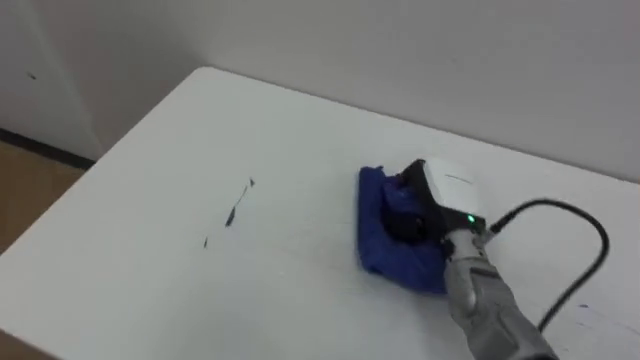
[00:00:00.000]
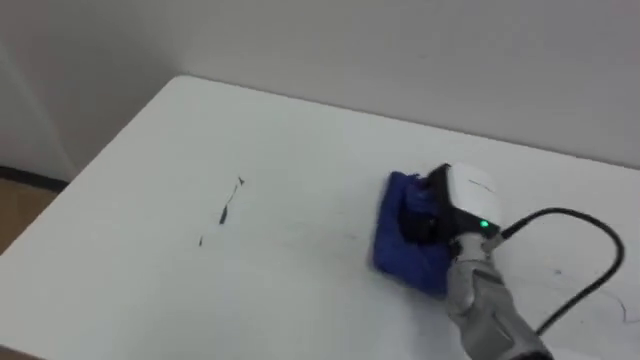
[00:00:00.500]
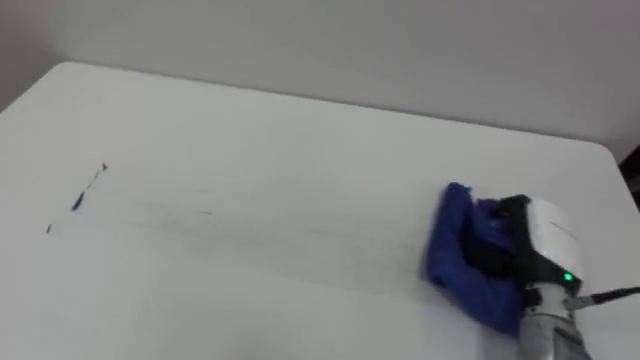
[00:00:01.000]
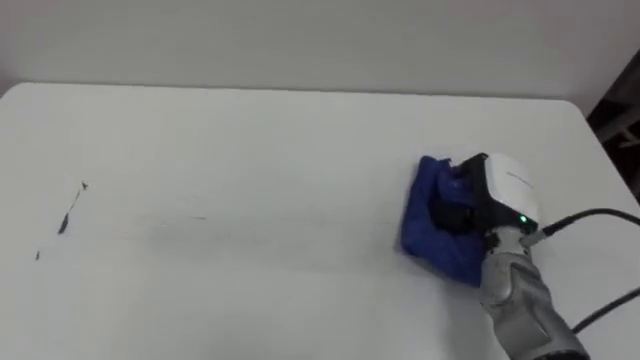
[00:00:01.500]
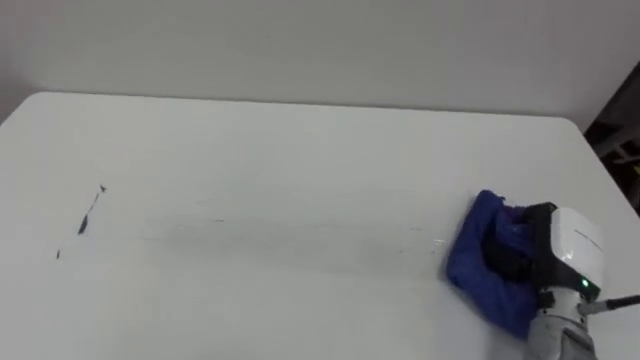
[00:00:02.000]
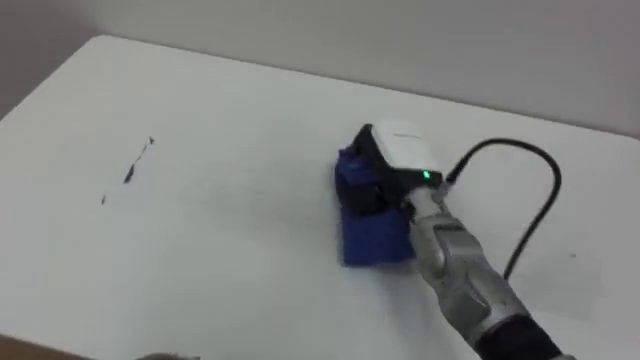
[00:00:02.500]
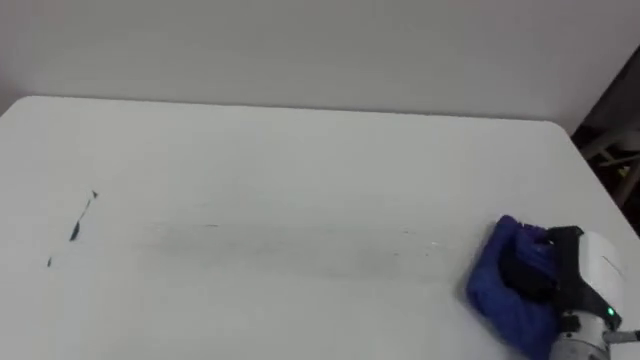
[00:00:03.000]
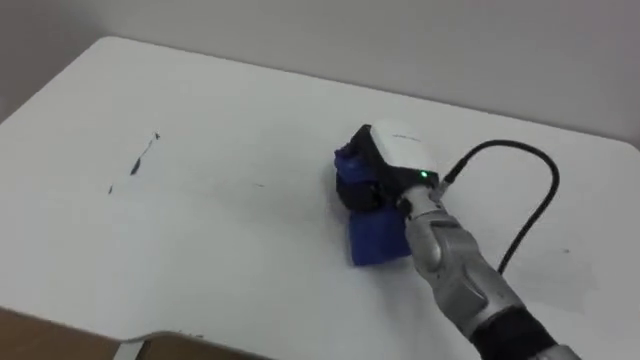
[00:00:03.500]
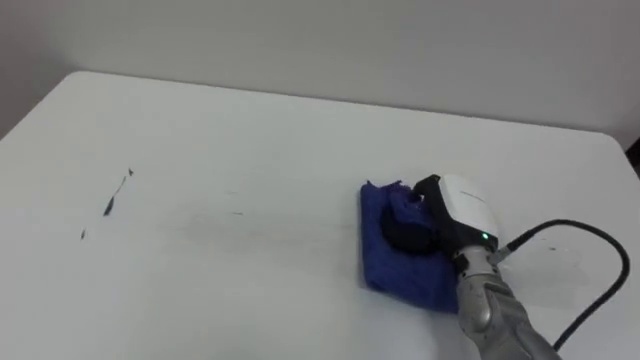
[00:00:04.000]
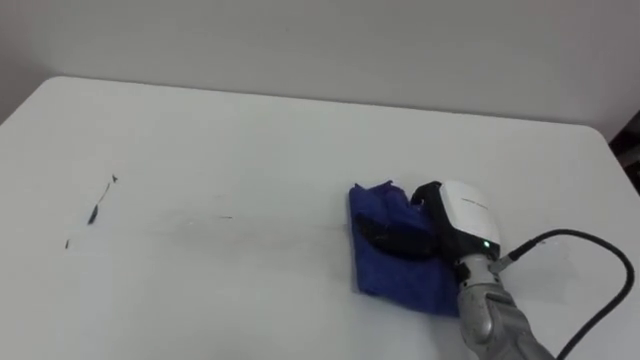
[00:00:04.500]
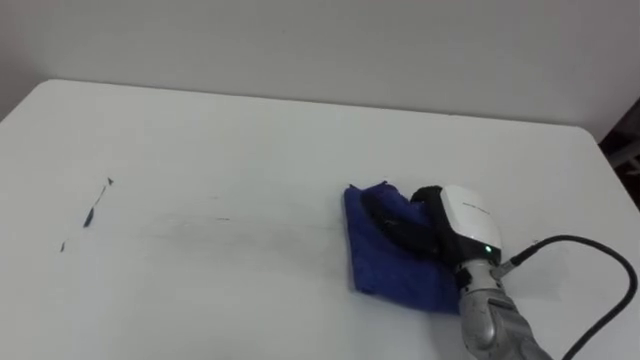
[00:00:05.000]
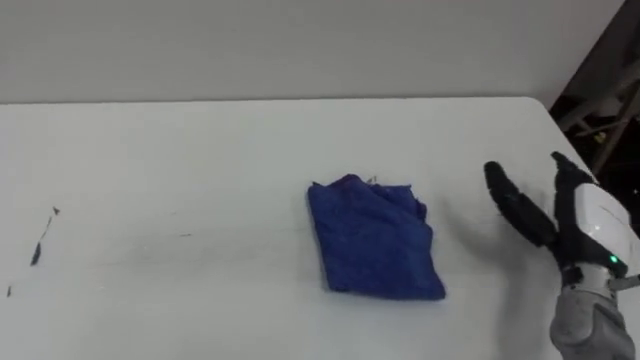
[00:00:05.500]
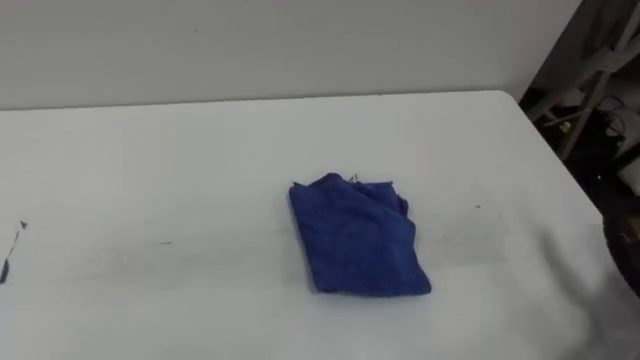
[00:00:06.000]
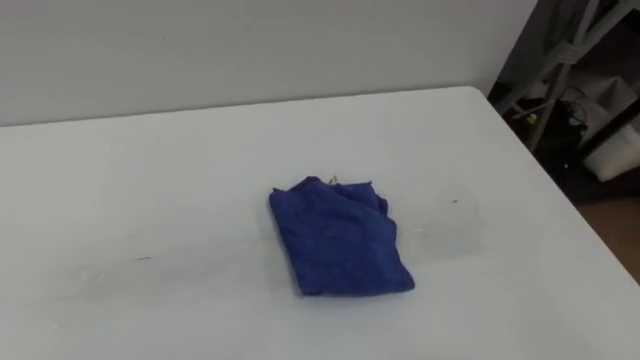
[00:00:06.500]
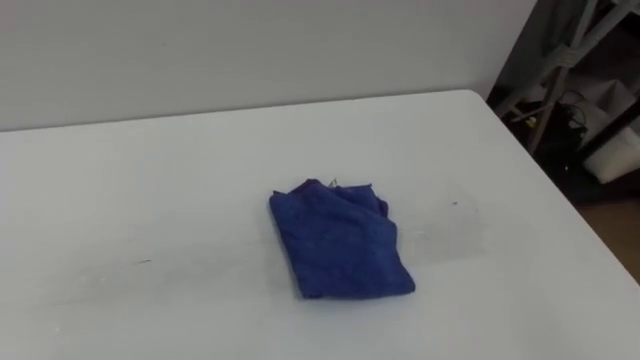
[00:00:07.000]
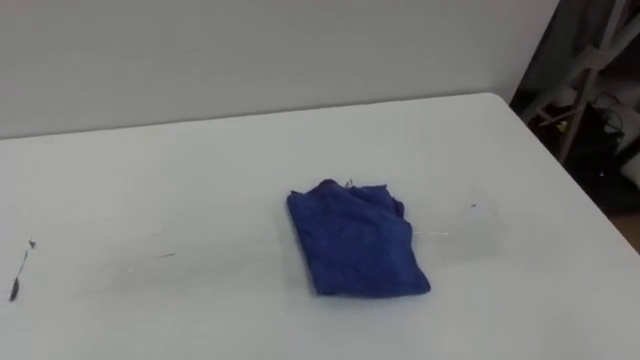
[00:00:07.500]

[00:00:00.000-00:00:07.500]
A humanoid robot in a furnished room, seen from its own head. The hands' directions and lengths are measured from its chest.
Task of the whole recording: Wipe the blue pen marks off the table with the rag.
00:00:00.000 to 00:00:02.000: The right hand goes some 15 cm to the right and backward.
00:00:02.000 to 00:00:04.000: The right hand moves left and right over roughly 25 cm, changing direction 3 times.
00:00:04.000 to 00:00:05.500: The right hand shifts approximately 15 cm to the right, and opens its fingers.

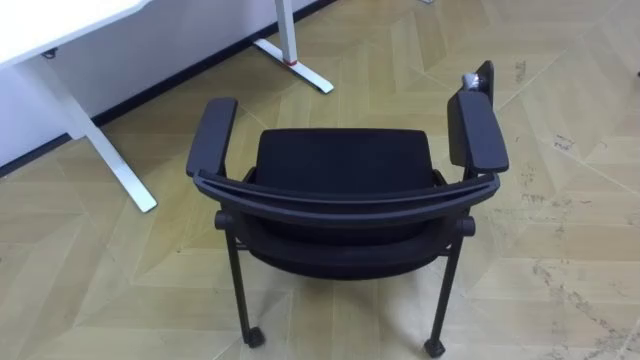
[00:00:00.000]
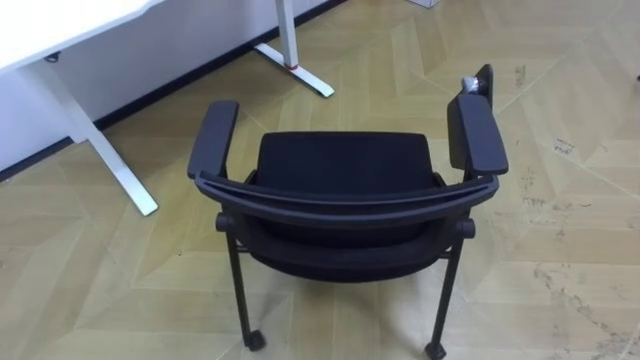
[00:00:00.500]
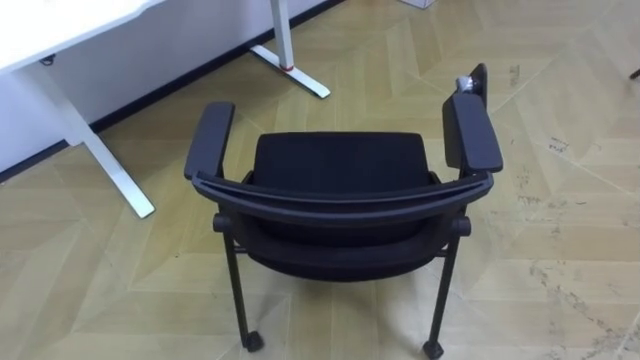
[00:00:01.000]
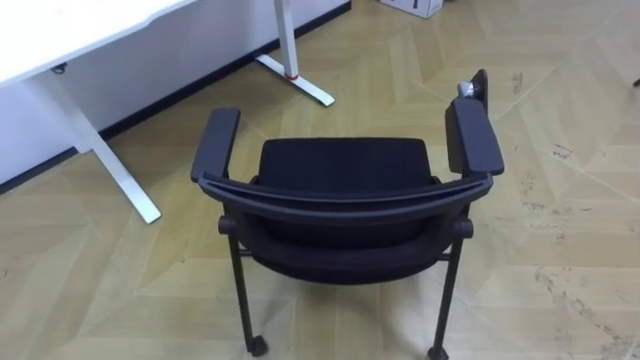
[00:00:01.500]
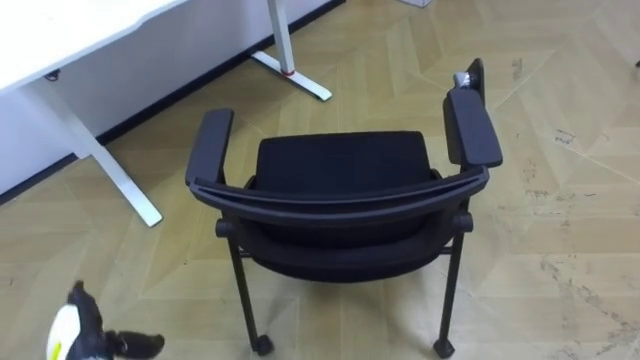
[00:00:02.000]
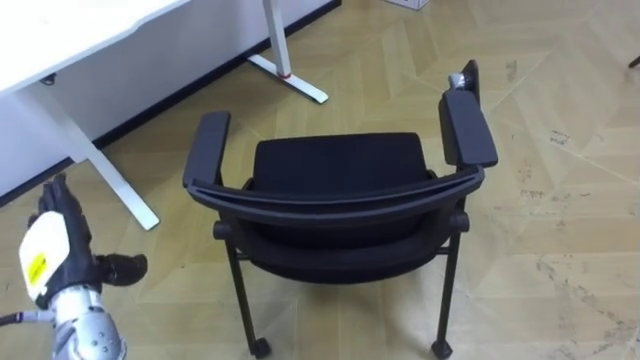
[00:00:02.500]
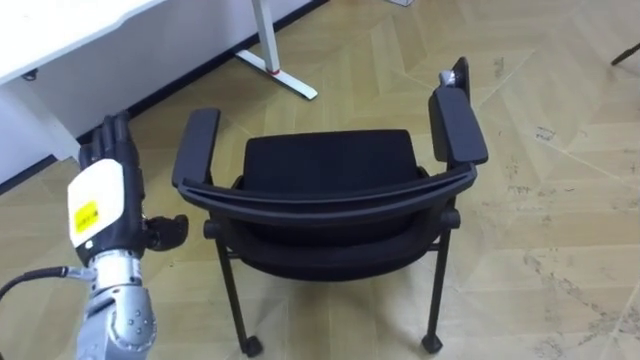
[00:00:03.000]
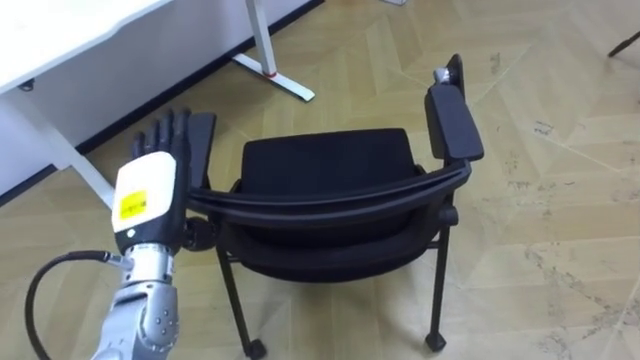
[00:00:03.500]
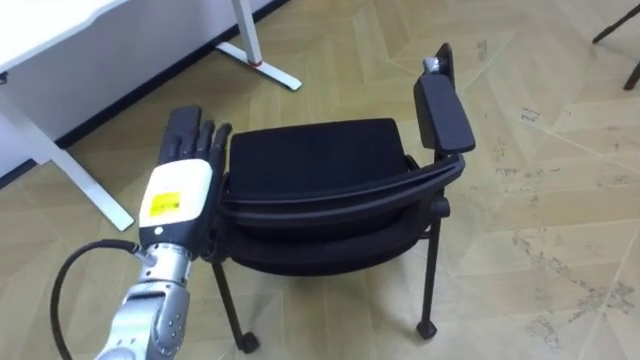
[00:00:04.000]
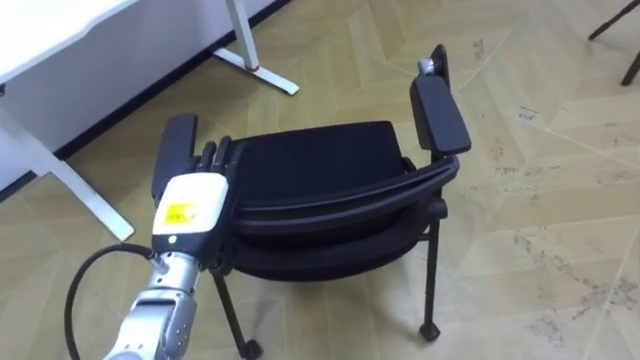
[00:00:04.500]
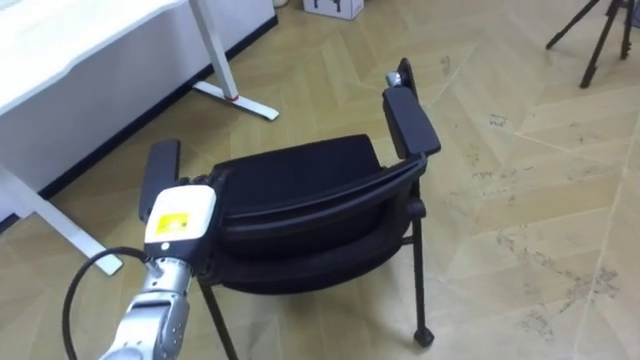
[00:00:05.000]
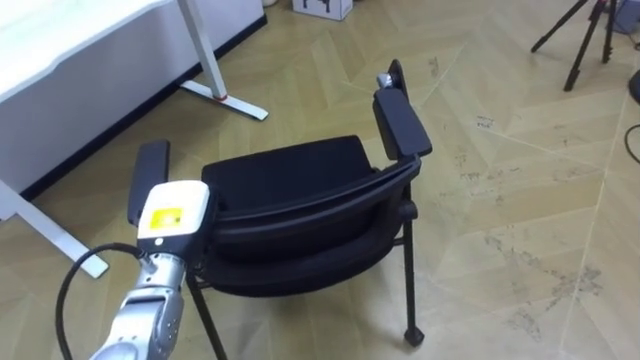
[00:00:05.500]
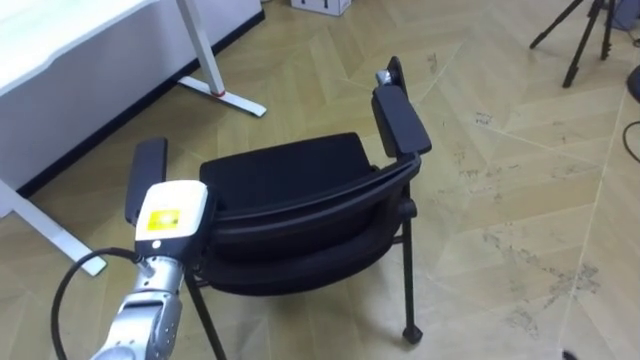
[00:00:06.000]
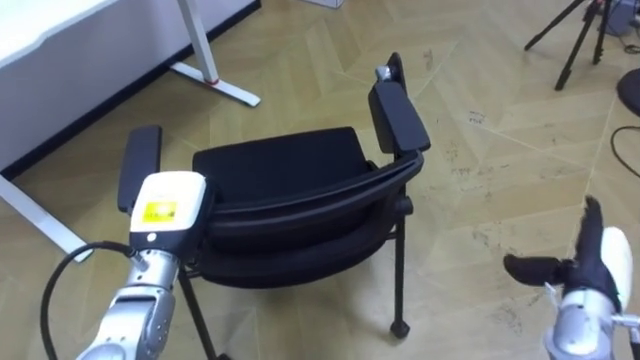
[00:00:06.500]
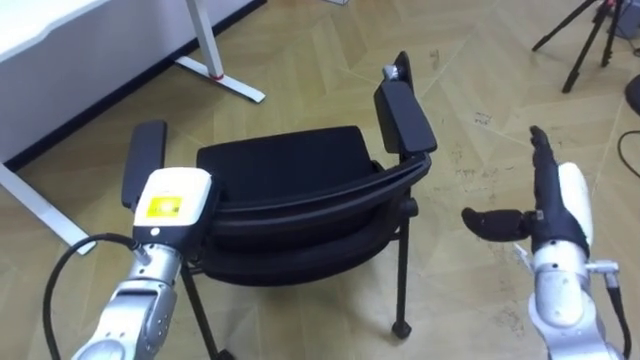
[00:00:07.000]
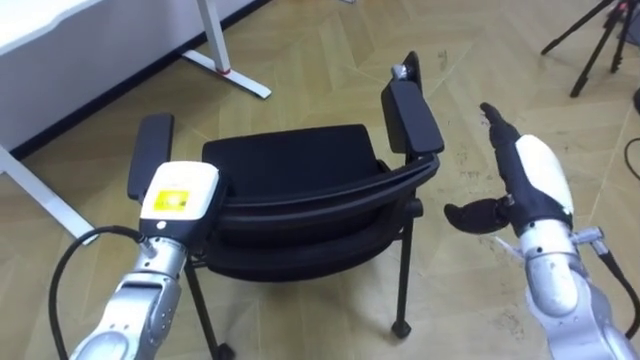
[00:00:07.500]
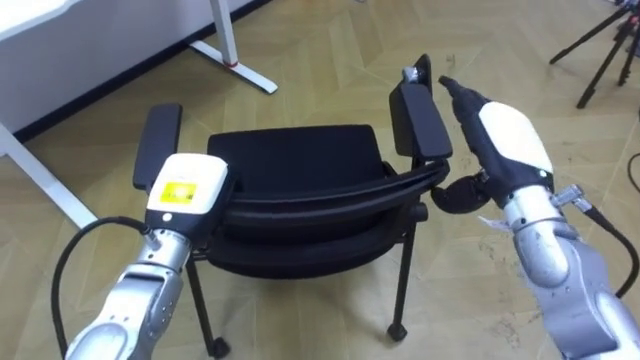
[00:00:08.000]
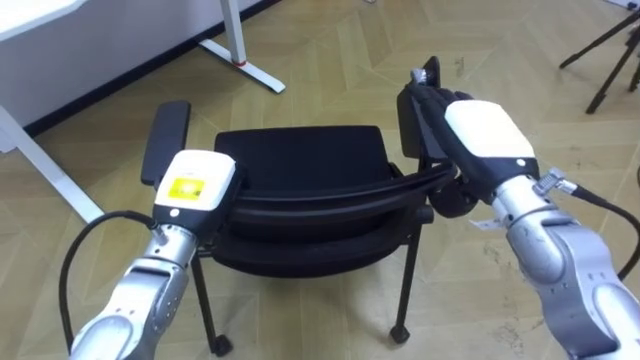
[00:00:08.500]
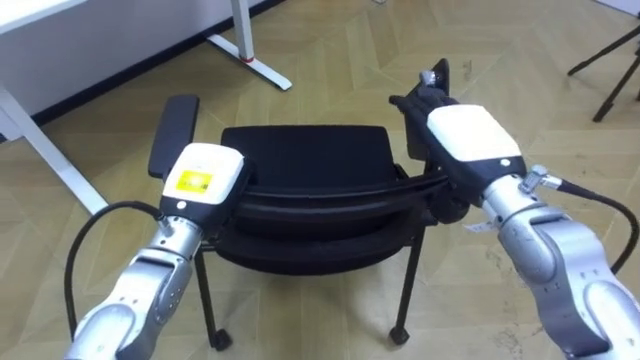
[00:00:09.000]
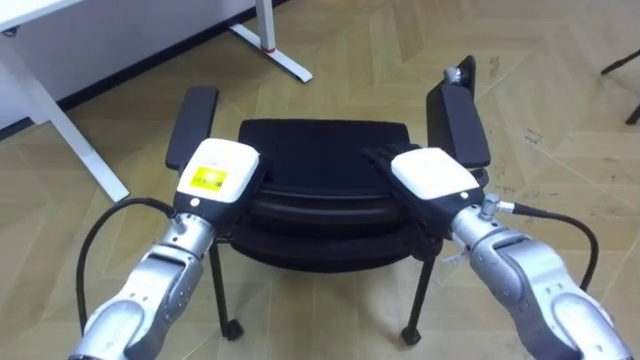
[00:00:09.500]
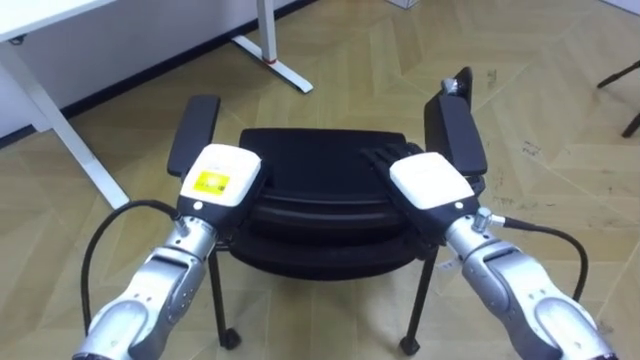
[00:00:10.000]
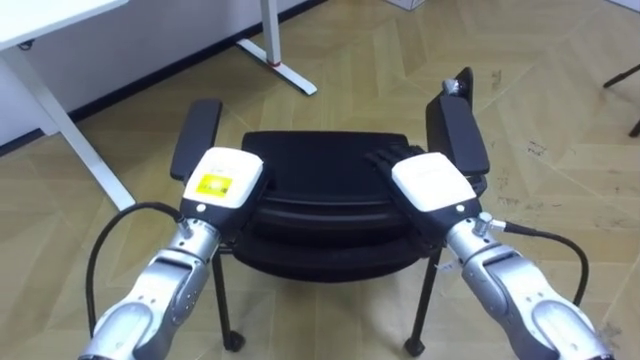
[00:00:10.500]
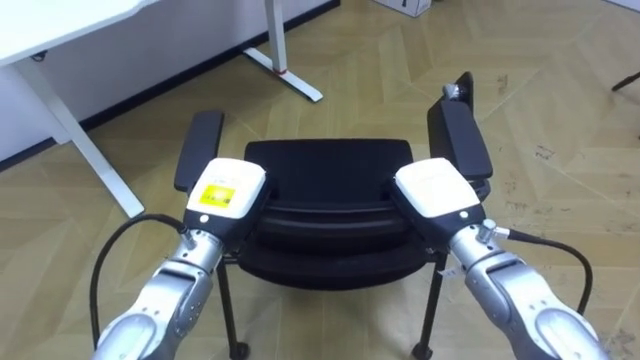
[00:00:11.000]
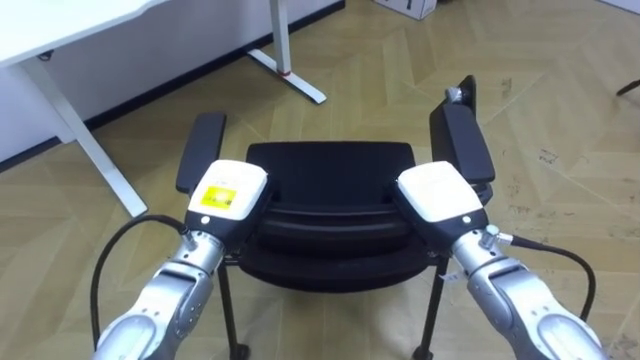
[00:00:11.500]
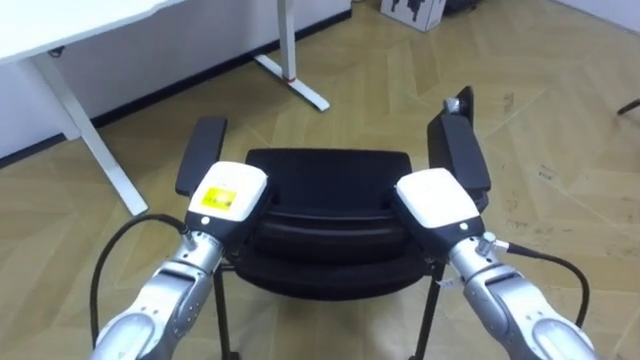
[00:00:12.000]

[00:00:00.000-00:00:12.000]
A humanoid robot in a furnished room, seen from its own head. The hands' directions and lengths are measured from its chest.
Task of the whole recording: Push the chair under the table.
00:00:02.000 to 00:00:04.000: The left hand travels upward, to the right and forward by approximately 25 cm.
00:00:04.000 to 00:00:06.000: The left hand closes.
00:00:08.000 to 00:00:10.000: The right hand shifts roughly 10 cm to the left and downward.
00:00:10.000 to 00:00:12.000: The right hand closes up.
